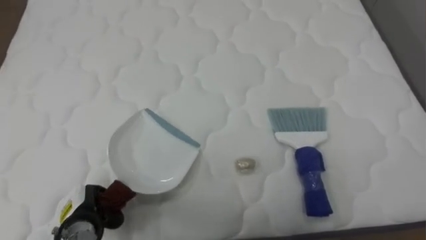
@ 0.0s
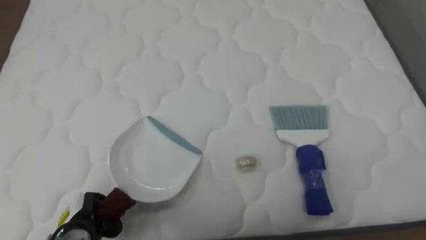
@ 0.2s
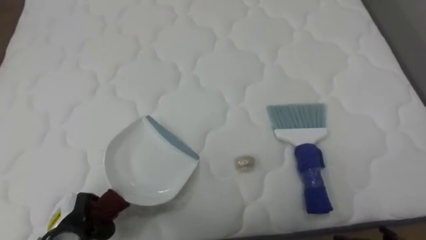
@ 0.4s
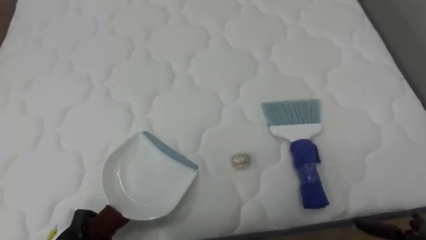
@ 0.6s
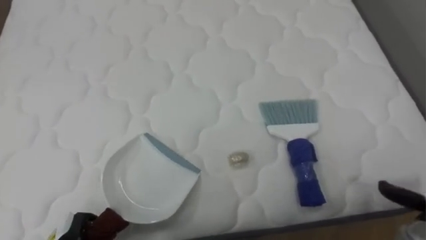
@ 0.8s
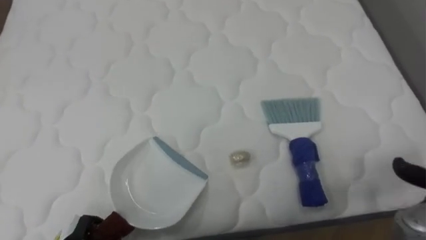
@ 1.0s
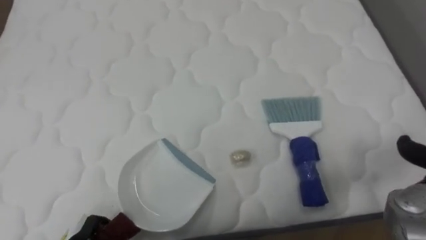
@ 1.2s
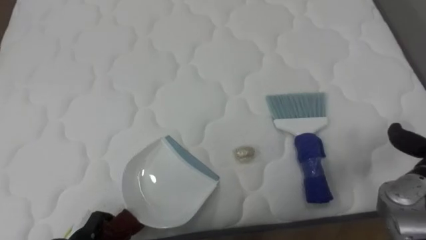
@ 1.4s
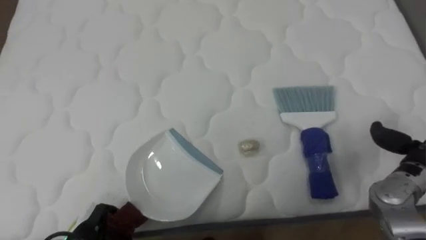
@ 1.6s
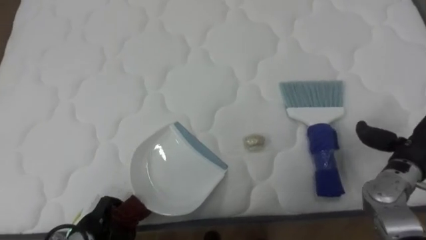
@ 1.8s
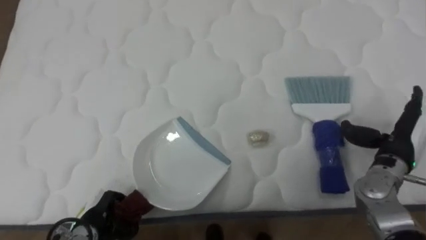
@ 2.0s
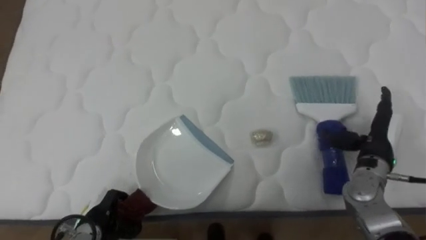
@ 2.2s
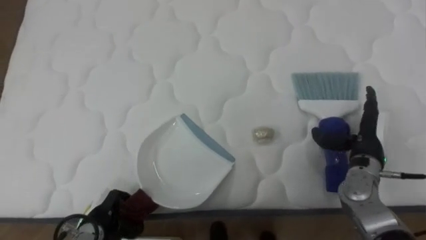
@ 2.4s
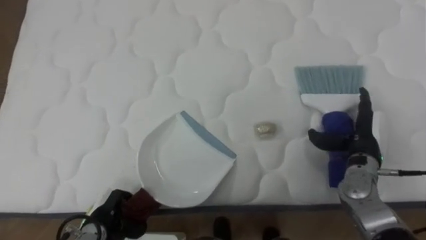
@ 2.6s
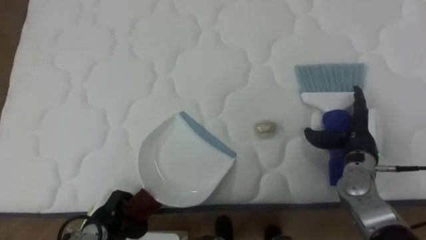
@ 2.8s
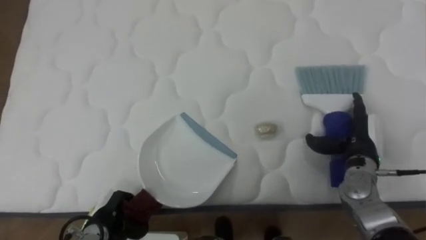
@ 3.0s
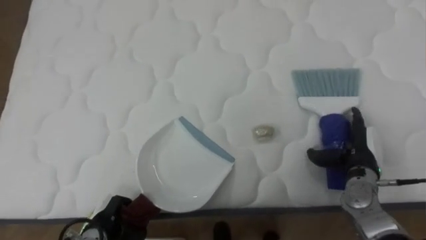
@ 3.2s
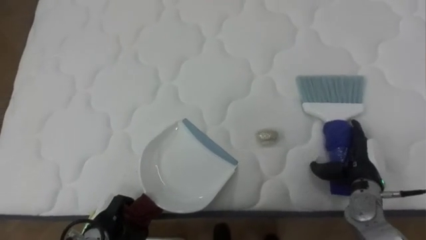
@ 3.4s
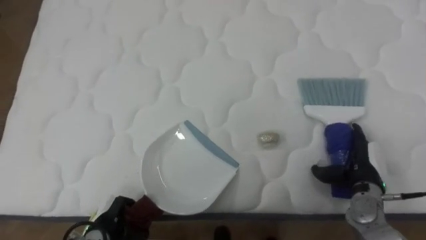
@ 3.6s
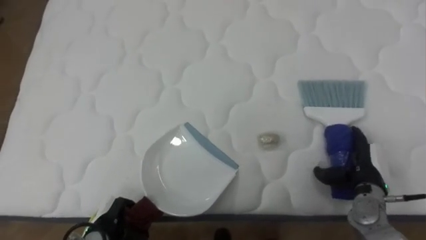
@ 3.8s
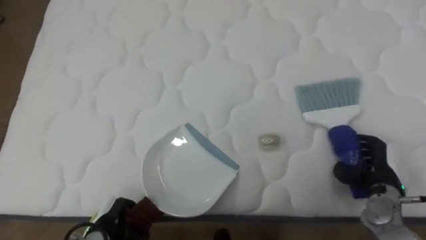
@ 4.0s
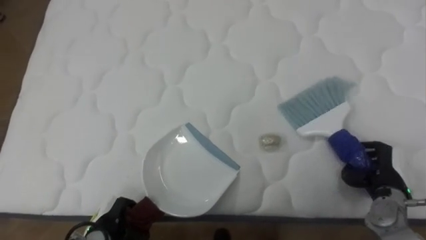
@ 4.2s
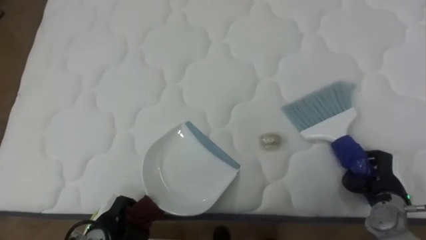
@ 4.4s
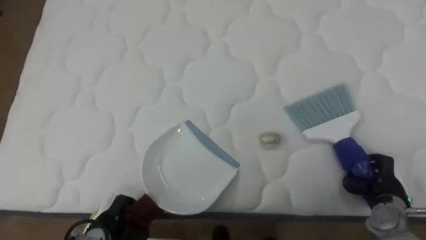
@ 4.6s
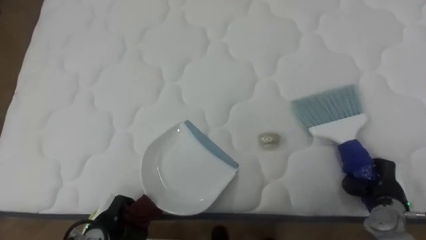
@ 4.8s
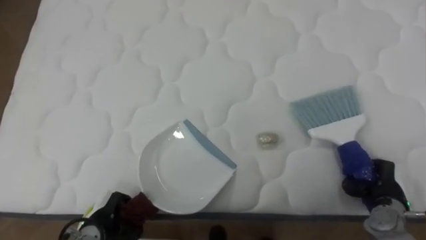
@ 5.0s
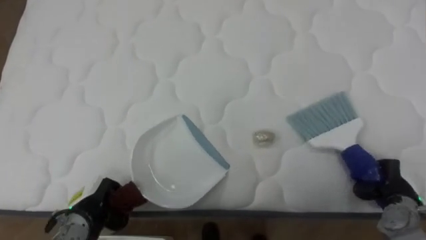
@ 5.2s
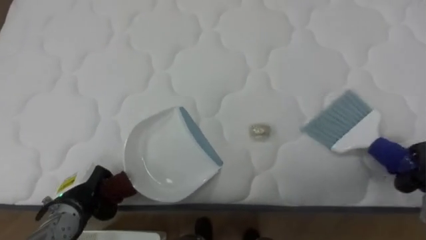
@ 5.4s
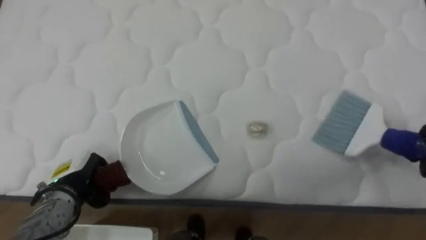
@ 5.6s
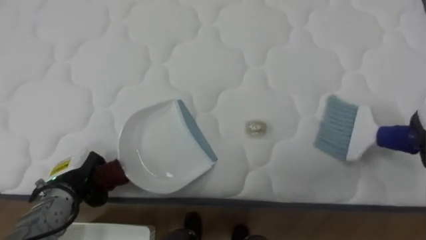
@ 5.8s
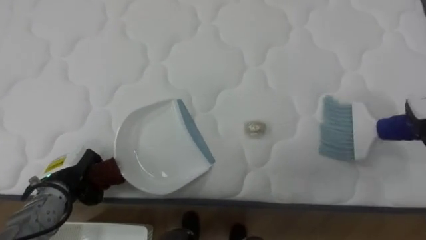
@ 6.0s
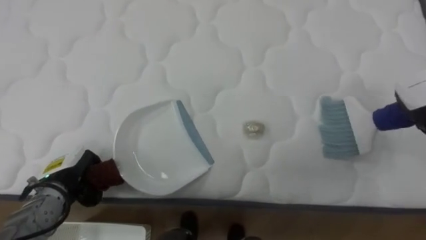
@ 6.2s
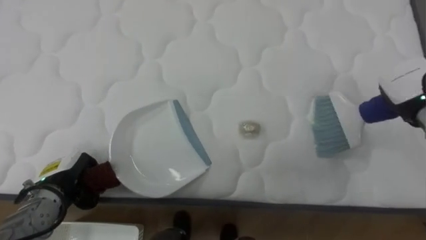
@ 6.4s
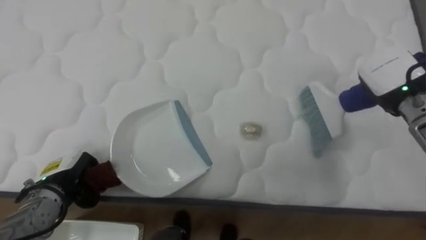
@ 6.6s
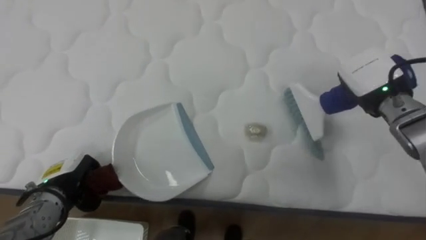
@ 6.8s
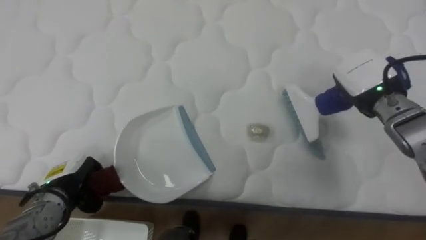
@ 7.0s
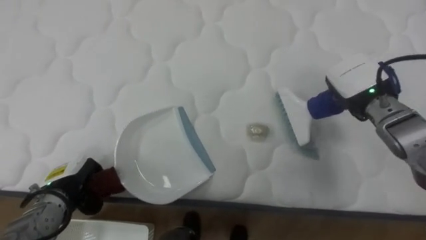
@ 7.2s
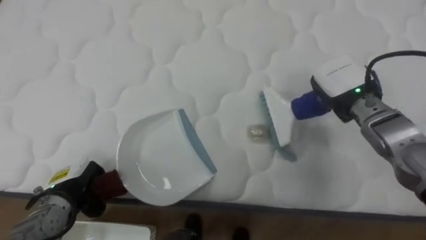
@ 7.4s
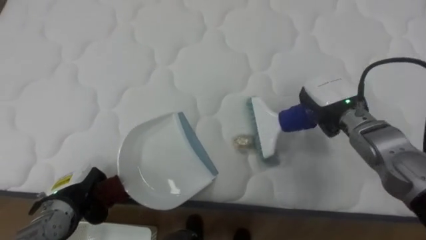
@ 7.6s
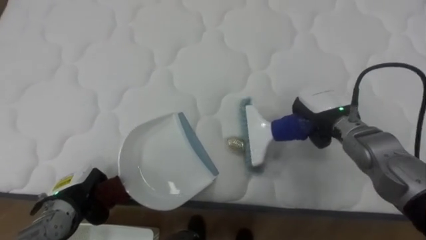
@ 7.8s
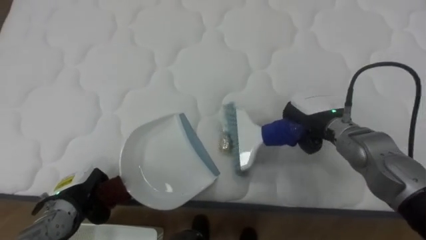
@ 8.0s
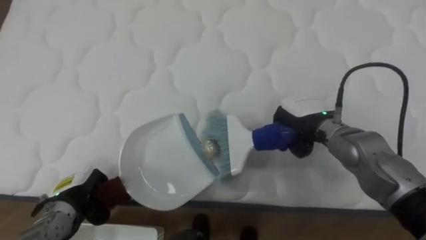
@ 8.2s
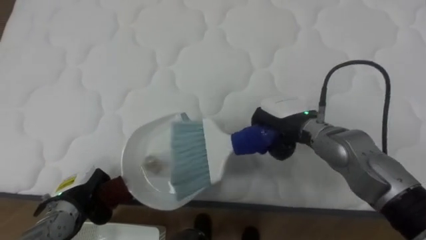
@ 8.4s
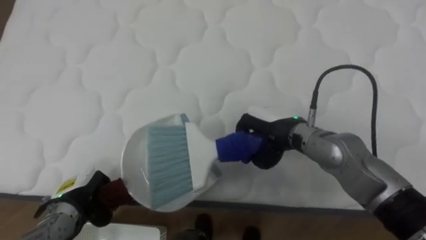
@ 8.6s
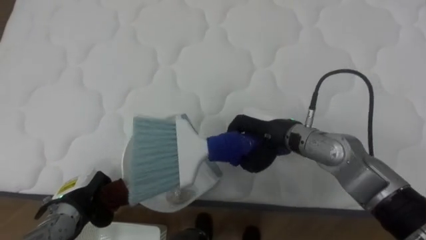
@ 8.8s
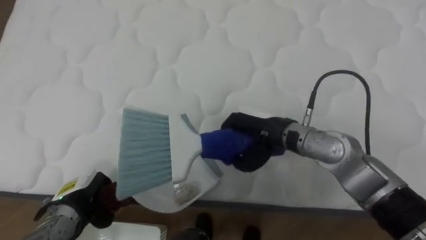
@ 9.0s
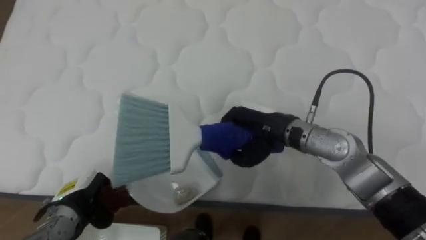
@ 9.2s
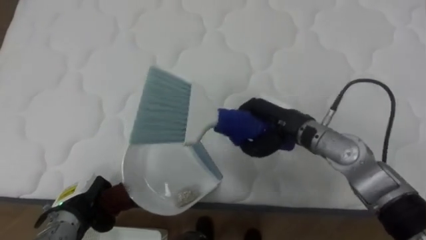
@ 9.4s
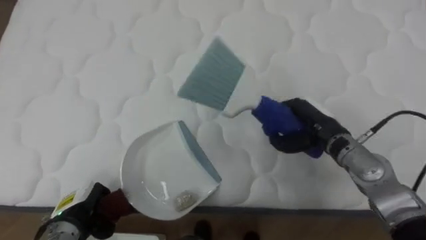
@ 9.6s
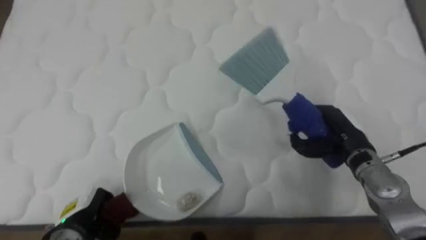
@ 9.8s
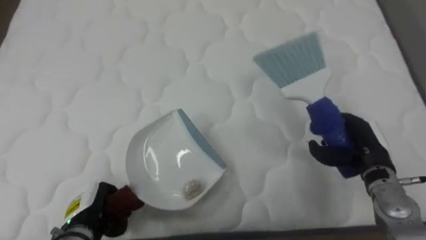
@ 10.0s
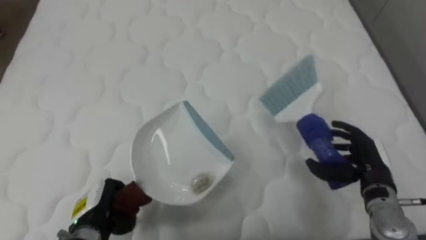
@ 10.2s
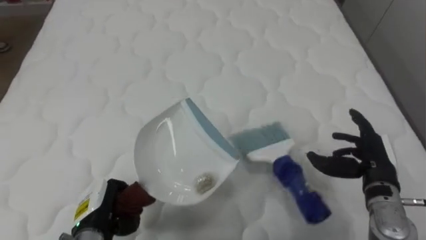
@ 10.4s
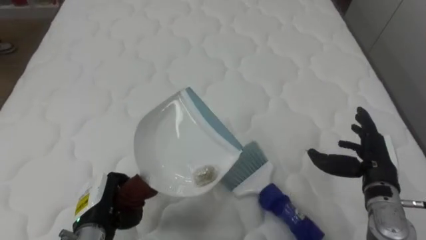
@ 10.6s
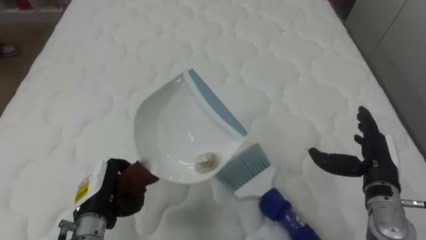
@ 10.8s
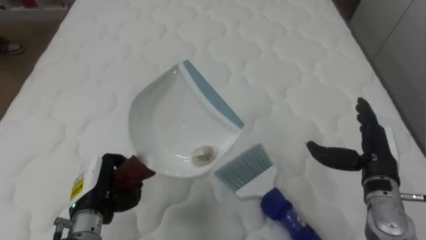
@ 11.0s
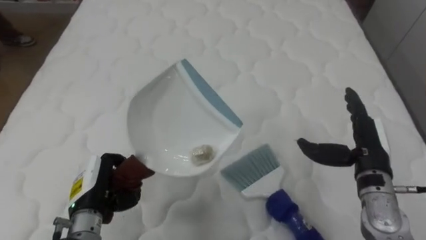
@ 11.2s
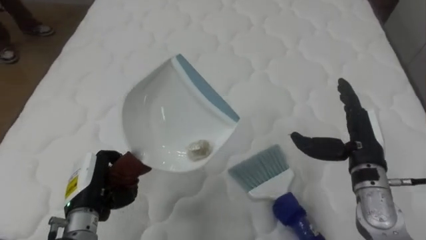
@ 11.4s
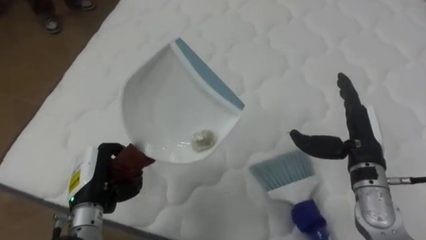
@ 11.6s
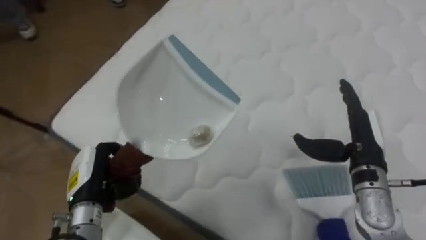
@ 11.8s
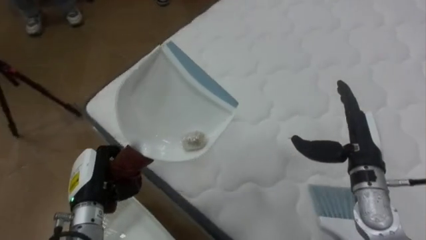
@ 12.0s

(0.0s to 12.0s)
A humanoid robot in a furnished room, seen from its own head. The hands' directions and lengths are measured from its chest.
Task of the whole recording: Pick up the brush on your right and the dustpan on your left. Use the brush to sweep the crumpled paper on the bed into the dustpan, then turn left and empty it into the basket.
1.6s - 3.0s: The right hand moves to the left, about 10 cm.
3.0s - 4.4s: The right hand shifts approximately 10 cm backward, downward and to the right, and closes.
4.4s - 6.0s: The left hand shifts roughly 15 cm upward, forward and to the left.
7.6s - 9.0s: The right hand is displaced to the left by some 15 cm.
9.0s - 10.4s: The right hand moves to the right, roughly 20 cm, and opens its fingers. Meanwhile the left hand moves roughly 5 cm.
10.4s - 12.0s: The robot's body swings some 40 degrees to its left. The right hand changes place by some 5 cm. The left hand is displaced upward by some 5 cm.

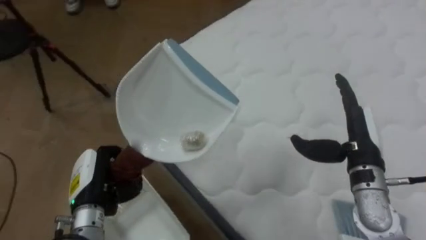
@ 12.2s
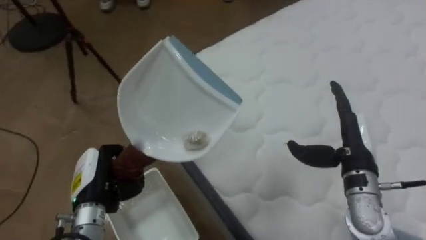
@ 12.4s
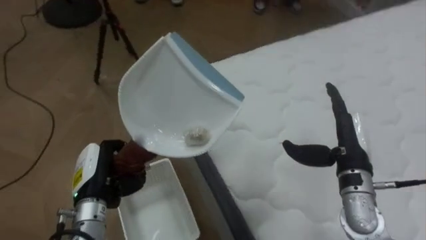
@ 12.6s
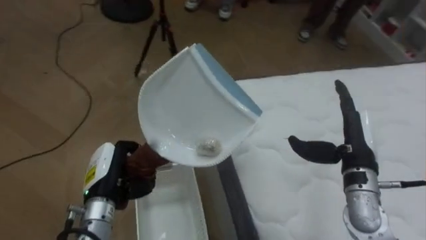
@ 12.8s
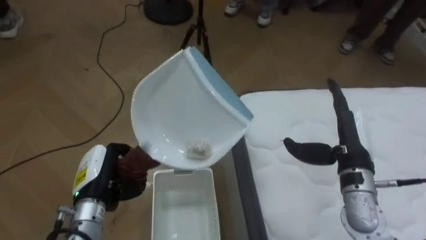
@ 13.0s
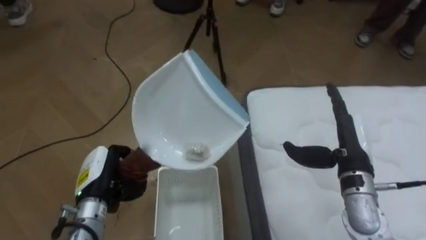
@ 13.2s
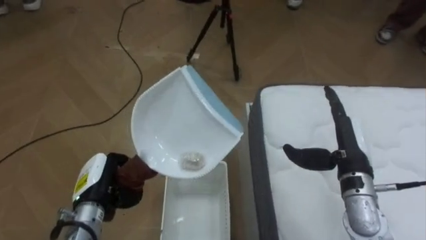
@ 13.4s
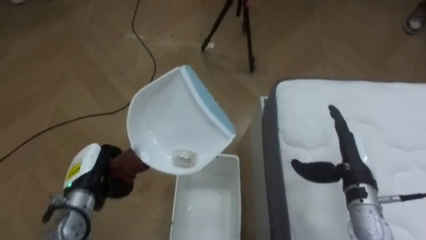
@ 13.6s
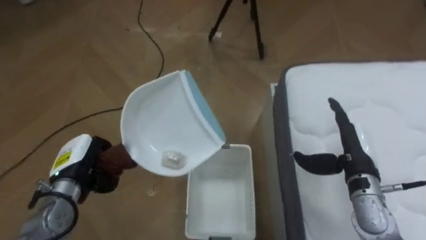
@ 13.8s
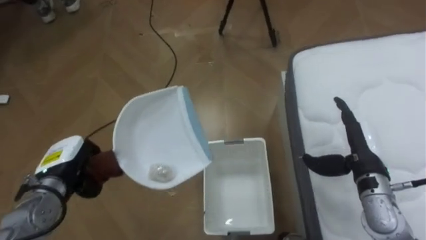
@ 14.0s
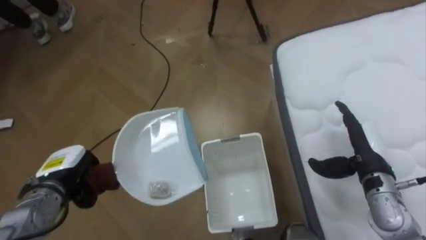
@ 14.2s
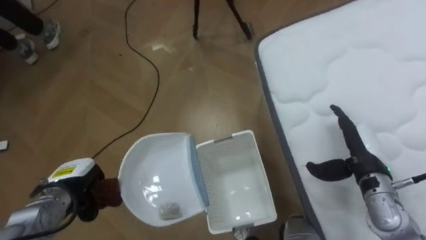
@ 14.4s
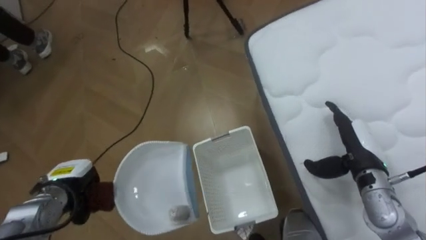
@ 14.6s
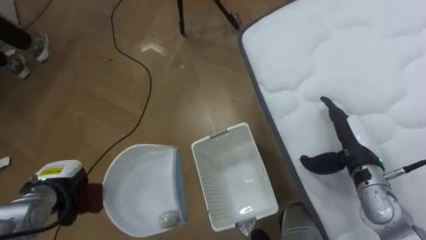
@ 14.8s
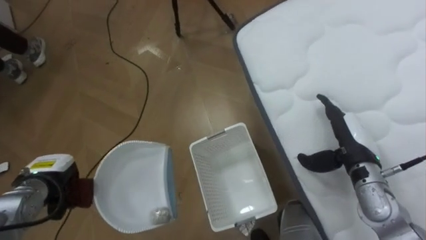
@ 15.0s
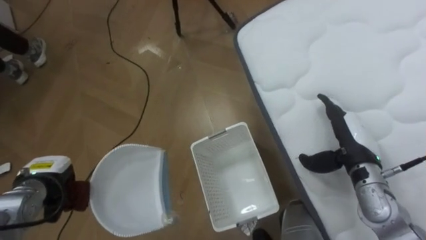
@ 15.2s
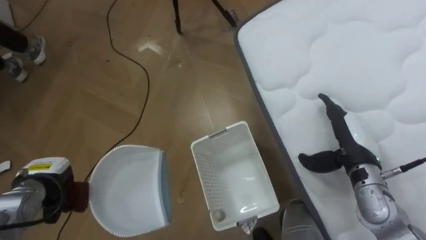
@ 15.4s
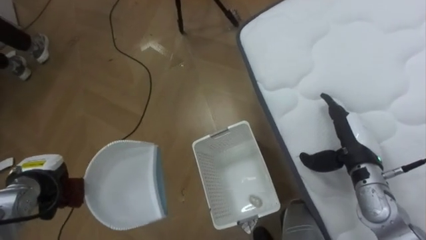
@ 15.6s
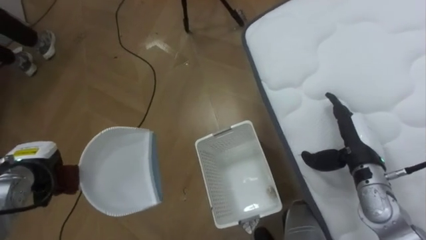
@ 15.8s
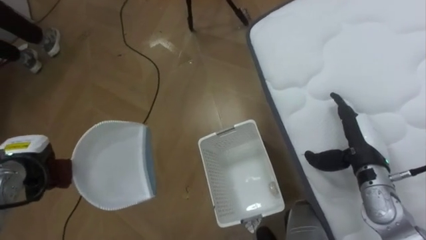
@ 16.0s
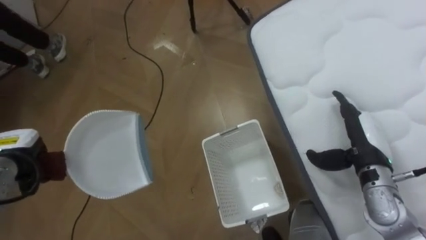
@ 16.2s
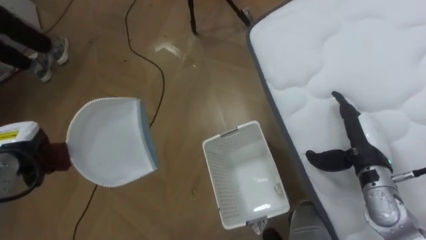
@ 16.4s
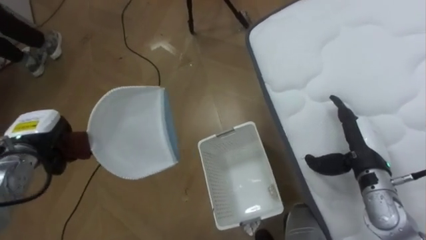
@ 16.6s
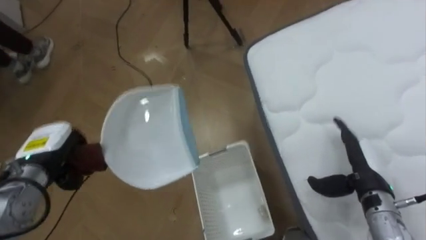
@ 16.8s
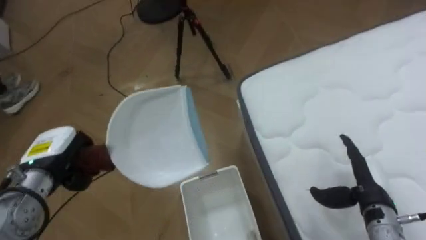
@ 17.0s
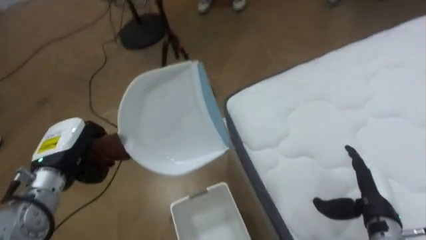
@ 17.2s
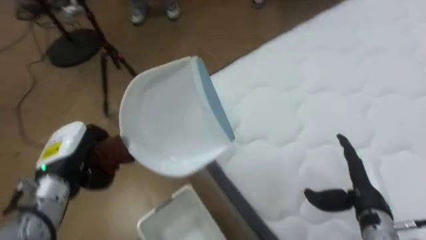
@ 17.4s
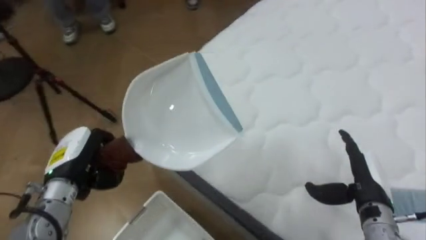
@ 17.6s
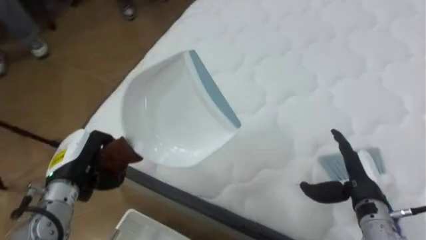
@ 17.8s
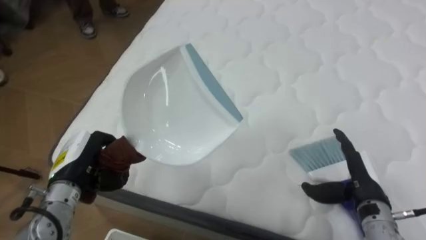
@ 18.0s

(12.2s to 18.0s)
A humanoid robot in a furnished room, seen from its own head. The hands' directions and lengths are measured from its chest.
Task of the whole recording: Pick up the brush on your right and the dustpan on your left. Use the brush to sweep the crumpled paper on the bed into the dustpan, then turn left and empty it into the basket.
12.2s - 13.6s: The robot's body swings approximately 55 degrees to its left. The right hand heads downward, covering roughly 5 cm.
13.6s - 15.0s: The left hand moves to the left, some 10 cm.
15.0s - 16.6s: The left hand moves upward, about 5 cm.
16.6s - 18.0s: The robot turns to its right by about 70 degrees. The left hand heads to the right and backward, covering roughly 10 cm.
